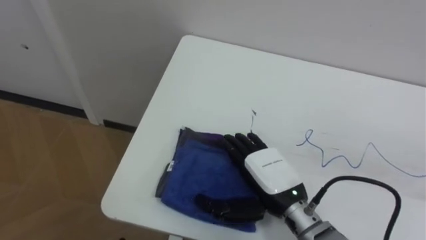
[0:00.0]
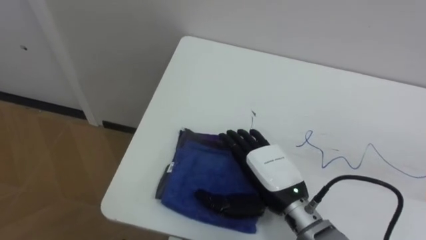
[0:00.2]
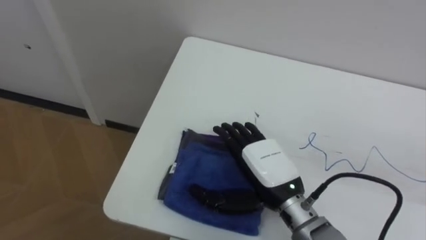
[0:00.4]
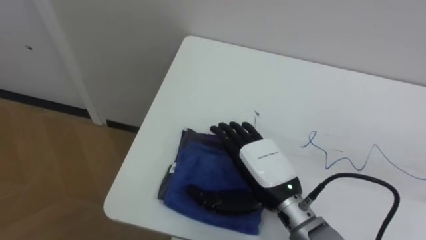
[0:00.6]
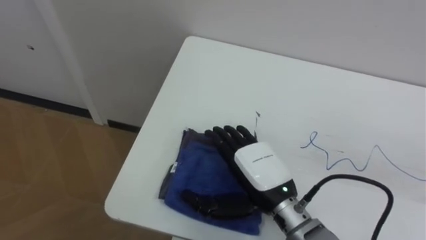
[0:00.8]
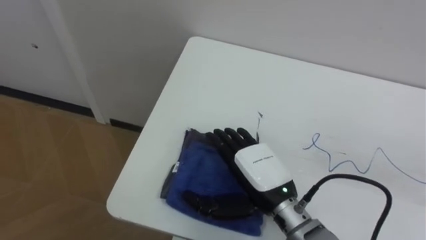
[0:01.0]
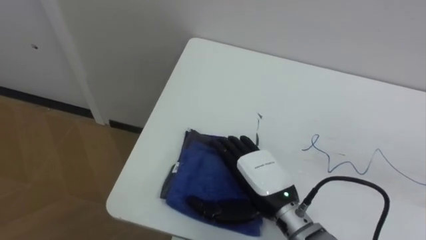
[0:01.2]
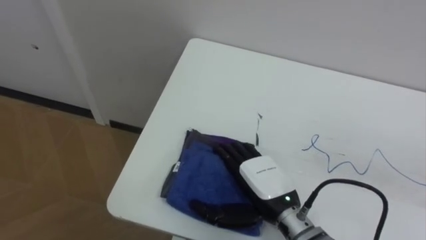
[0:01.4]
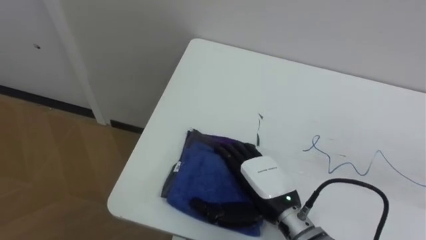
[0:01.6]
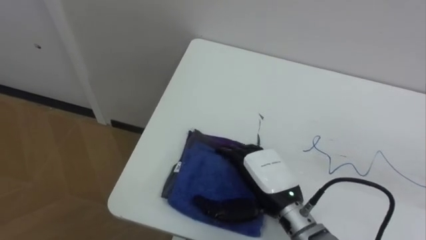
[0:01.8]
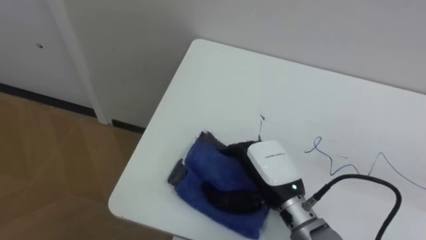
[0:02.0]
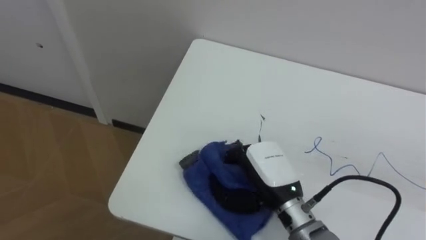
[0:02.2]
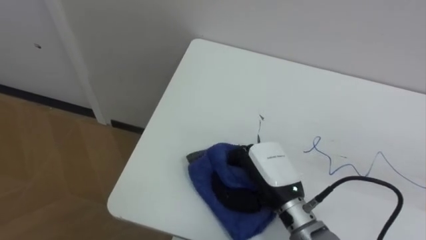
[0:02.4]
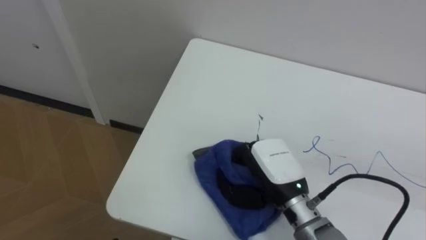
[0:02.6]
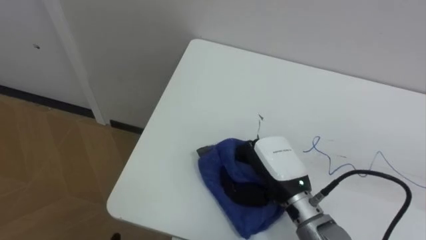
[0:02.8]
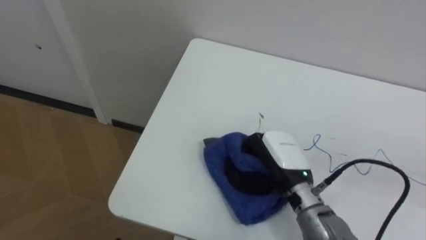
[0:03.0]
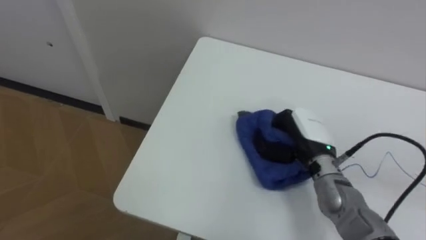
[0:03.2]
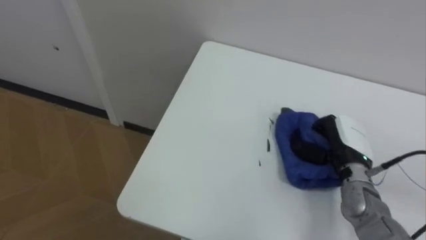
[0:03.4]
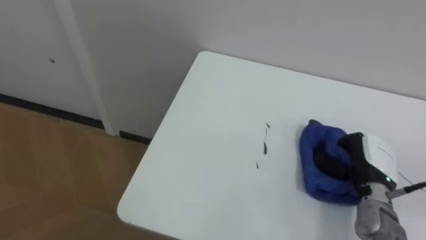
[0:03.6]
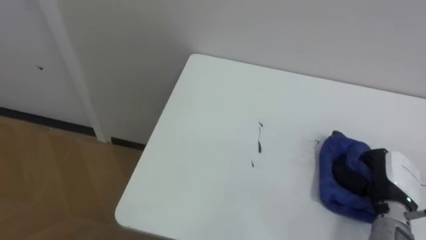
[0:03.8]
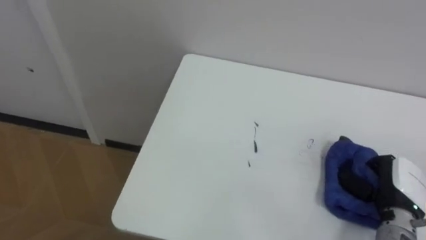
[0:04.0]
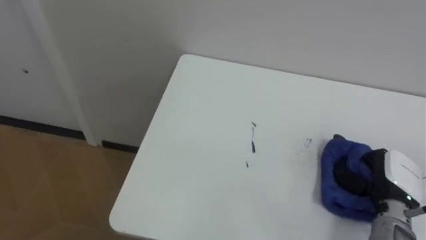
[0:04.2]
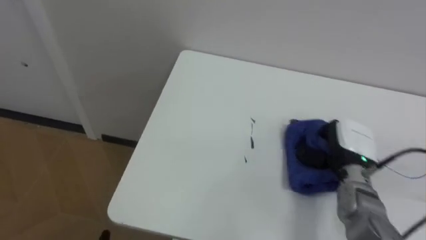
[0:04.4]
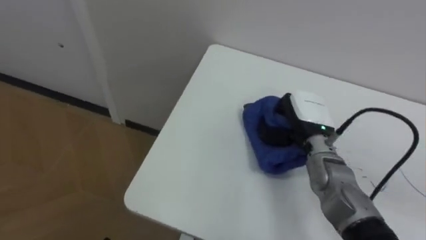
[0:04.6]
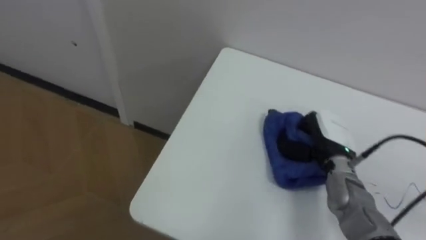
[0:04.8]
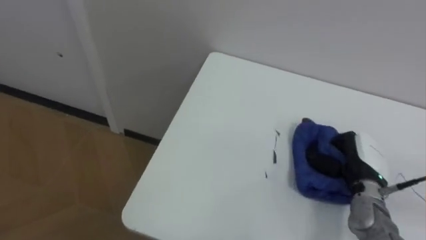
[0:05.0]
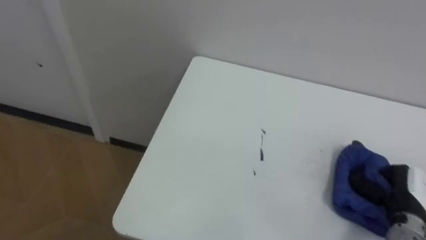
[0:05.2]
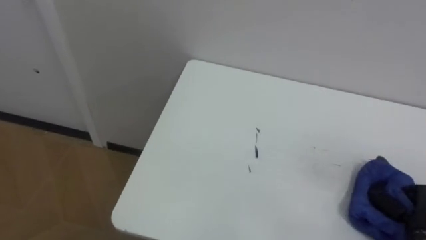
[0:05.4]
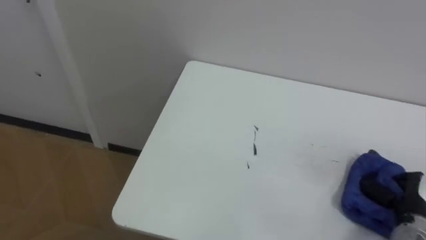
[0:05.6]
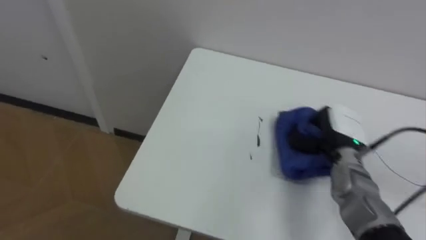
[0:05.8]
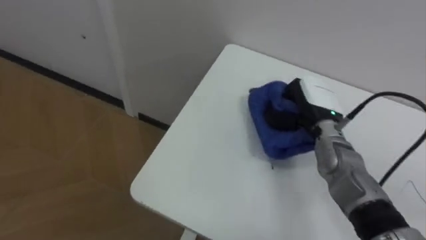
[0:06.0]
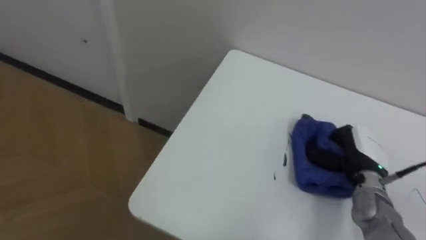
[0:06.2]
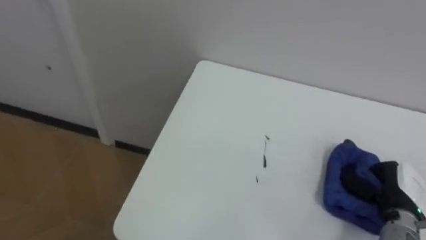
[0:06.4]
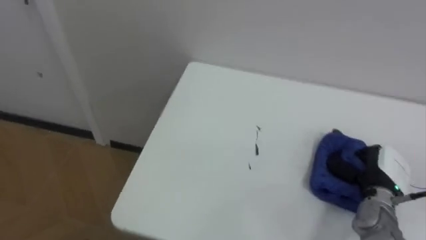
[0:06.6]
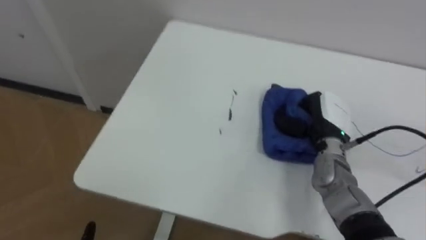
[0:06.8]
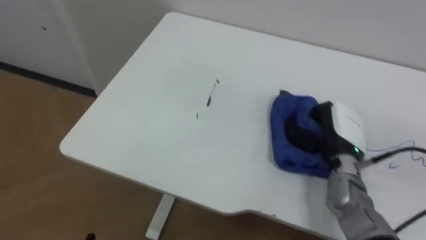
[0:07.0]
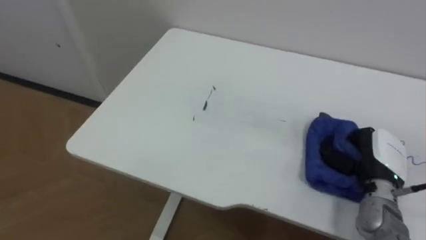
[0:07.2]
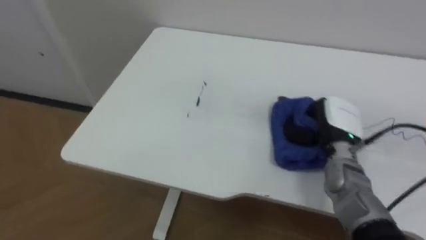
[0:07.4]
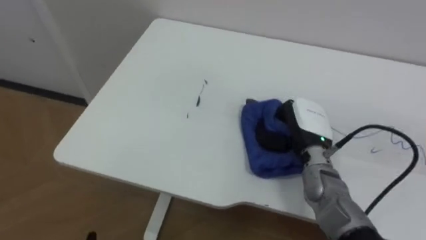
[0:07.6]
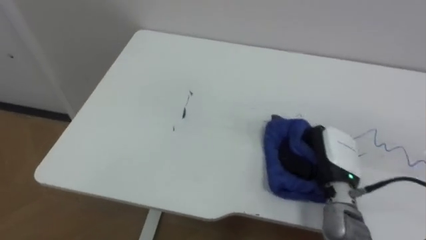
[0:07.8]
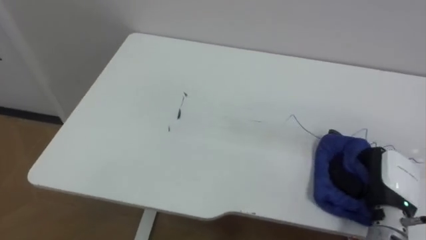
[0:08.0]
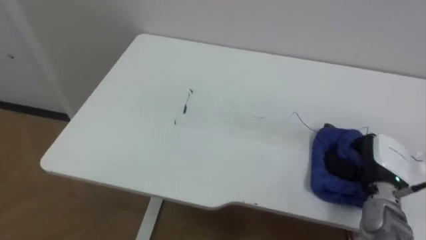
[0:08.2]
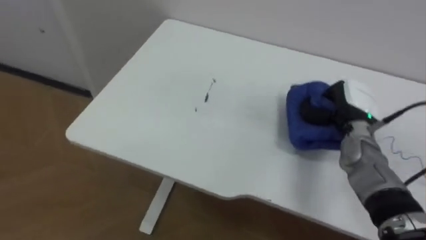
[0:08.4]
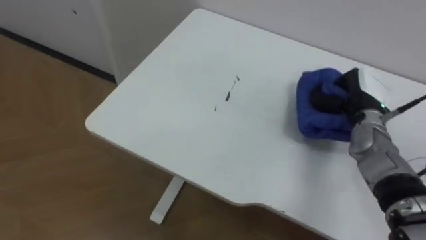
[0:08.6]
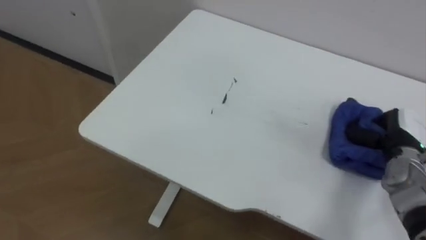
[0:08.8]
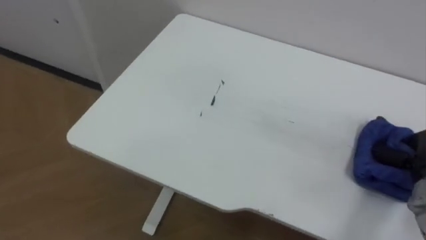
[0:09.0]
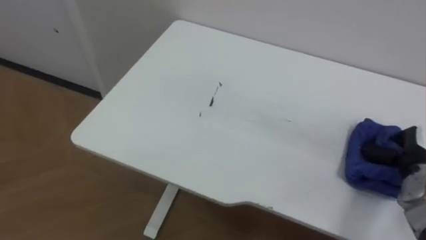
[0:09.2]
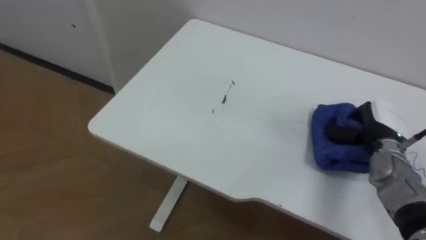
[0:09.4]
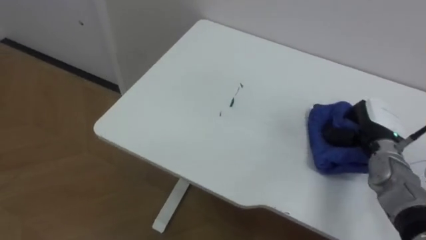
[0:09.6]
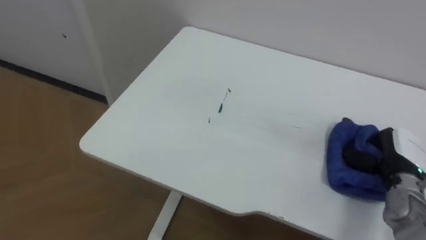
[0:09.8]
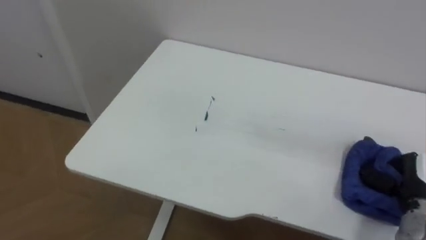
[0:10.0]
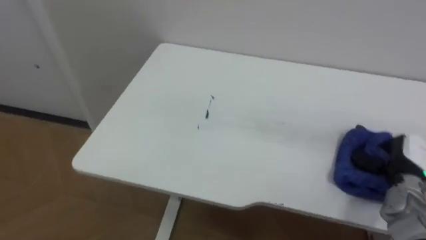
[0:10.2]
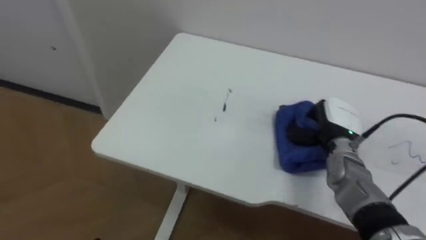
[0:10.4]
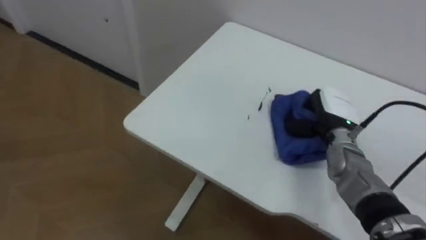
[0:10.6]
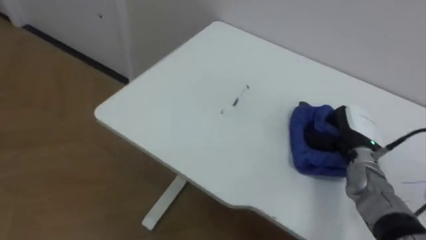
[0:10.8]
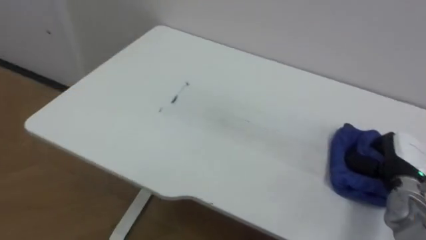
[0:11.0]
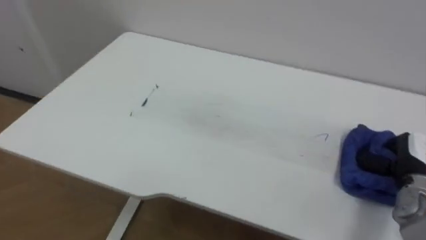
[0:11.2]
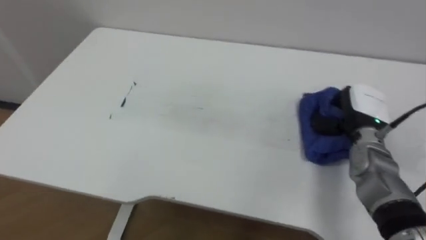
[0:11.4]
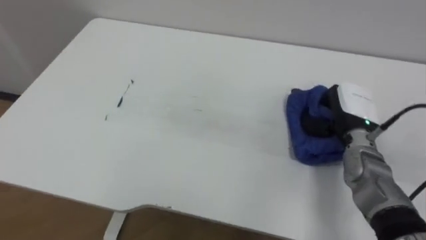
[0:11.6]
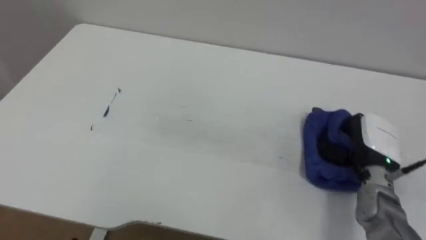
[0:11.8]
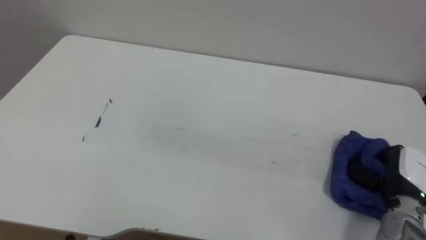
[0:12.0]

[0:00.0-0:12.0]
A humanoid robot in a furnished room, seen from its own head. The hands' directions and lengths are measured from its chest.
Task of the whole recording: Wipe the blue pen marks off the table with the rag.
0:01.6 to 0:03.0: The right hand changes place by roughly 5 cm, and closes up.
0:03.0 to 0:04.4: The right hand shifts approximately 15 cm to the right.
0:04.4 to 0:06.0: The right hand moves left and right over roughly 20 cm, changing direction 2 times.
0:06.0 to 0:07.6: The right hand moves left and right over approximately 15 cm, changing direction 3 times.
0:10.4 to 0:12.0: The right hand goes left and right, approximately 15 cm each way, reversing 2 times.

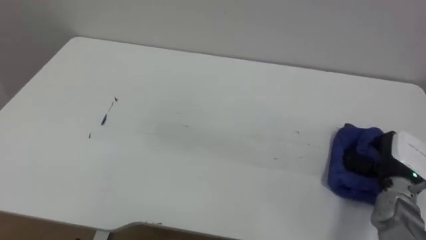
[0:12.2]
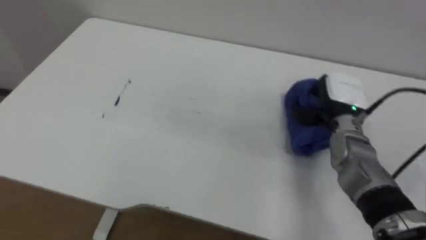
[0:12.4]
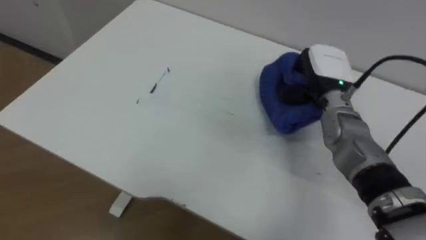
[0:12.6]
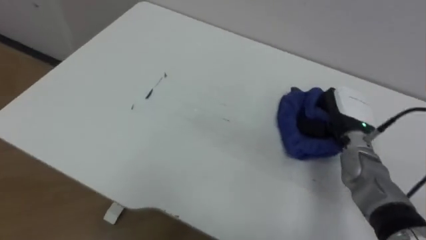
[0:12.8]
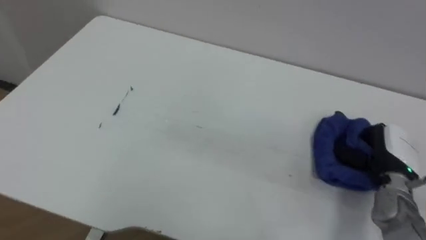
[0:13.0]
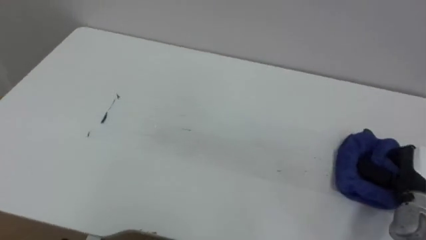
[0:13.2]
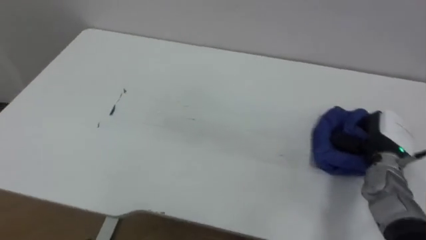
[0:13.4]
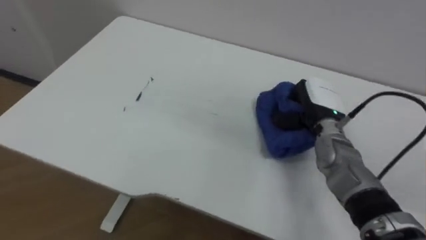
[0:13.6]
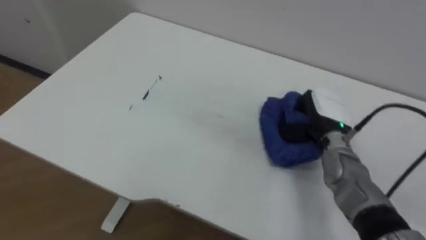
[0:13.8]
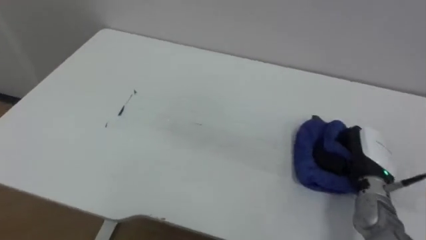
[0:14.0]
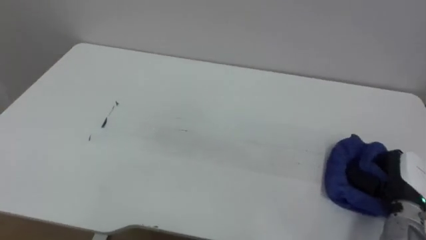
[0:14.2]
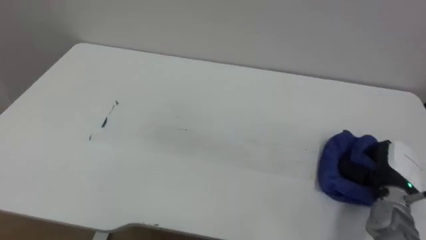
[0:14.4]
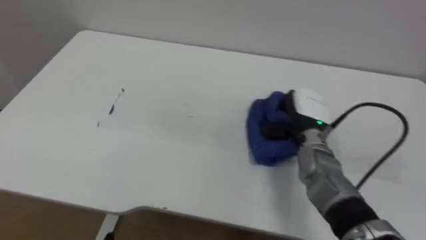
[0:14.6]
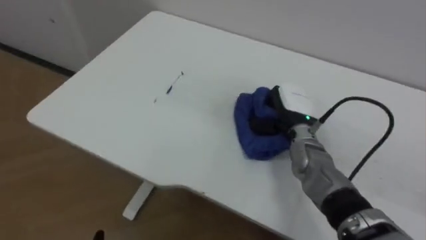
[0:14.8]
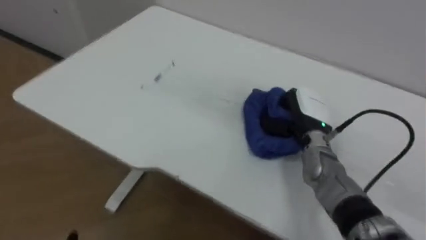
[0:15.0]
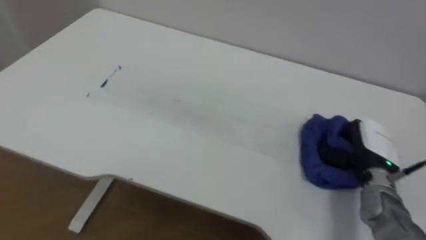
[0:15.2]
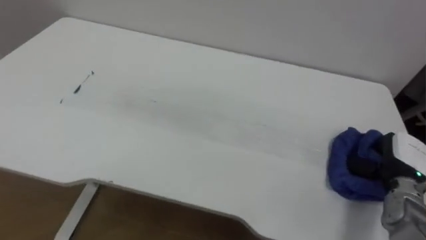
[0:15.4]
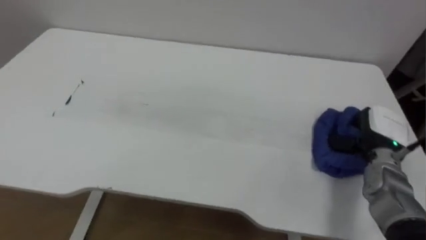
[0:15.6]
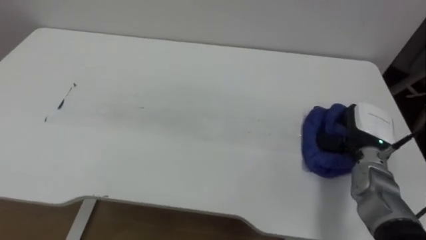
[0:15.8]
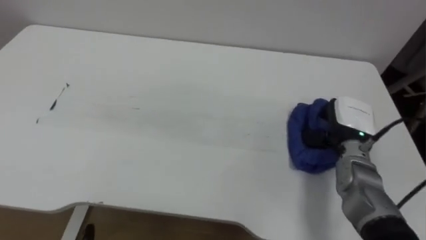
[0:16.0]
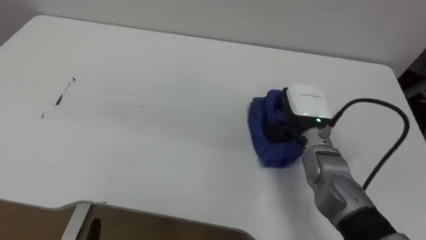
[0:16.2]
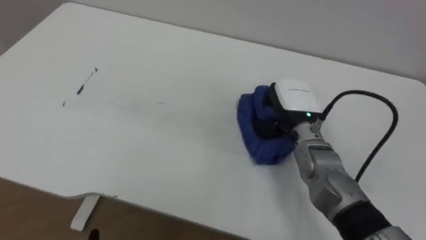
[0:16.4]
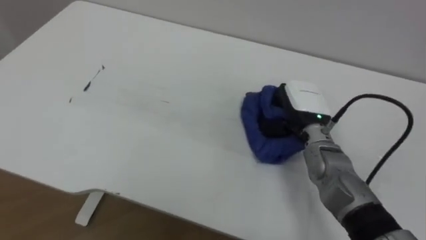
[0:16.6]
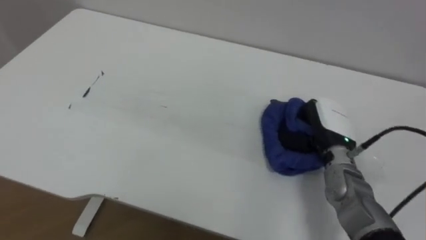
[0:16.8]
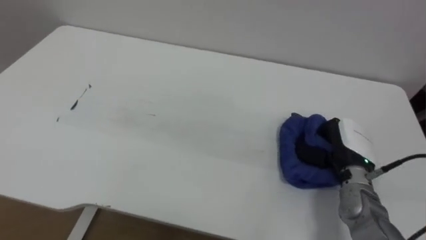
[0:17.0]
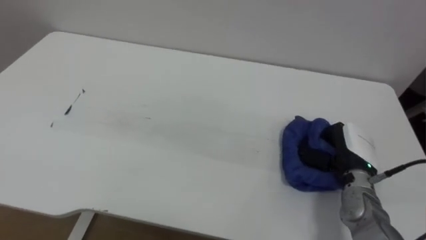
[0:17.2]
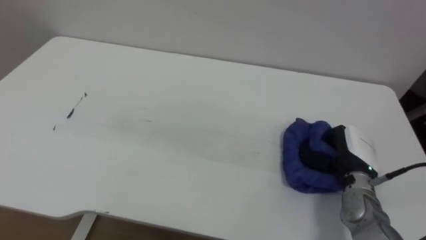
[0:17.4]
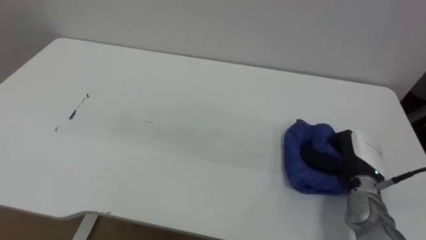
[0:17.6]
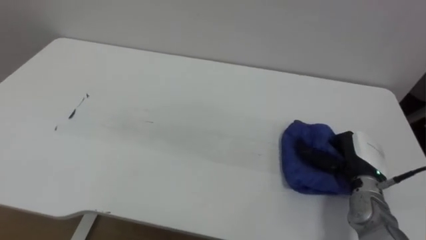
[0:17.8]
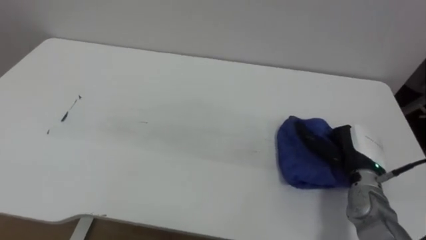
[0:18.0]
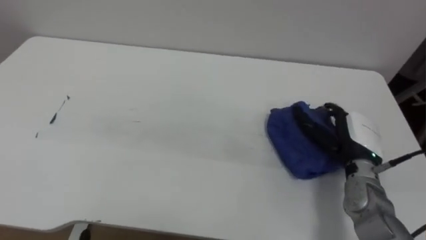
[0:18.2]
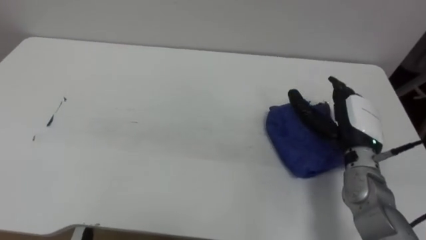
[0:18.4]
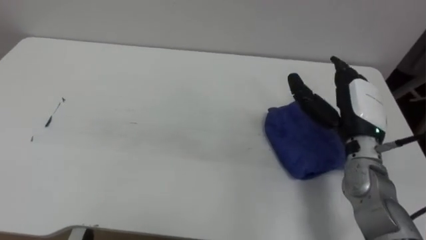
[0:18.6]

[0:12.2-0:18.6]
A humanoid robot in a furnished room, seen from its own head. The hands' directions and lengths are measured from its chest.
Task of the whole recording: Wipe the blue pen marks off the table with the rag.
0:12.2 to 0:13.8: The right hand goes left and right, approximately 15 cm each way, reversing 2 times.
0:13.8 to 0:15.4: The right hand swings left and right, approximately 20 cm each way, with 2 reversals.
0:15.4 to 0:17.0: The right hand travels to the left by about 10 cm.
0:17.0 to 0:18.6: The right hand travels upward by some 10 cm, and opens its fingers.
